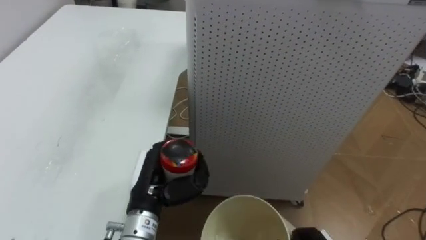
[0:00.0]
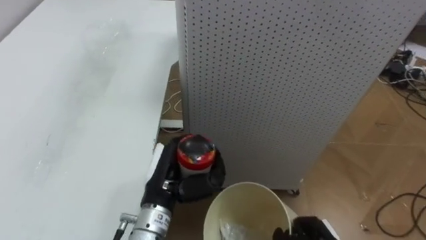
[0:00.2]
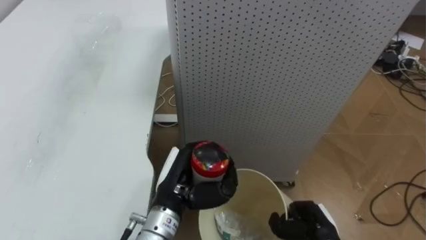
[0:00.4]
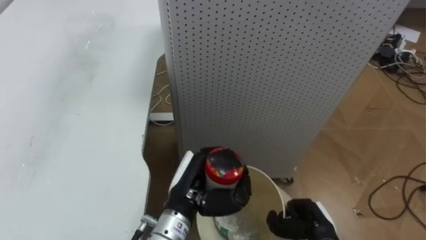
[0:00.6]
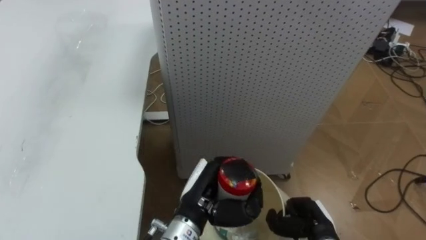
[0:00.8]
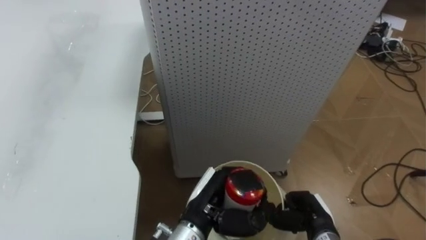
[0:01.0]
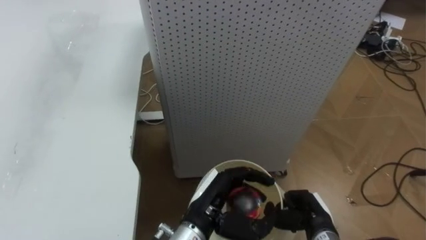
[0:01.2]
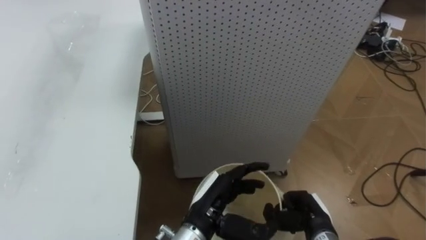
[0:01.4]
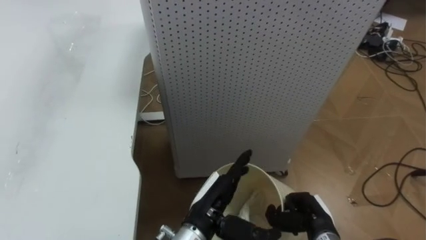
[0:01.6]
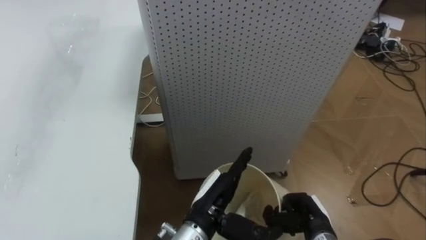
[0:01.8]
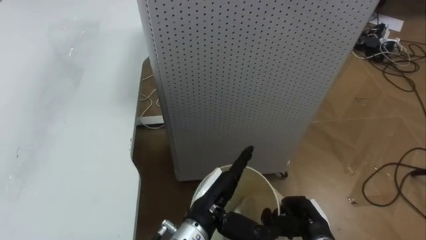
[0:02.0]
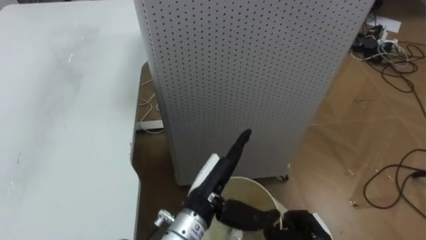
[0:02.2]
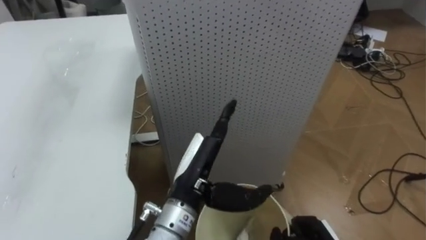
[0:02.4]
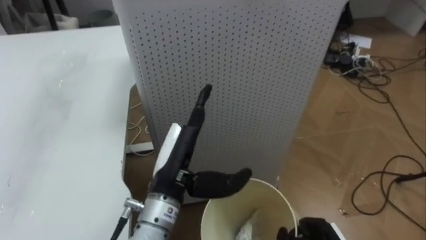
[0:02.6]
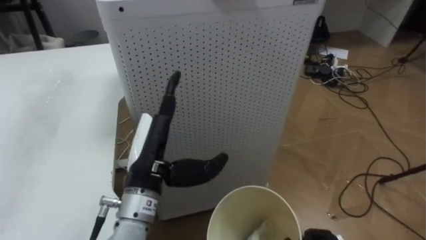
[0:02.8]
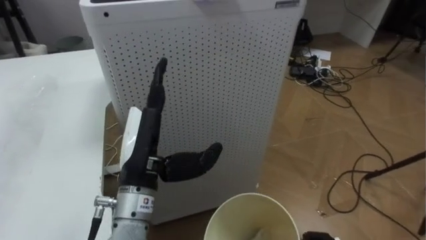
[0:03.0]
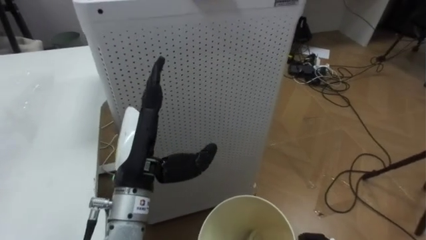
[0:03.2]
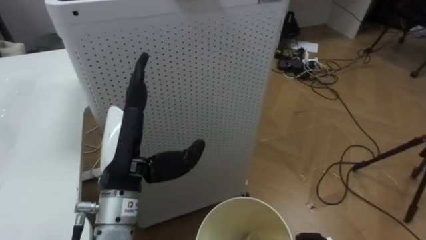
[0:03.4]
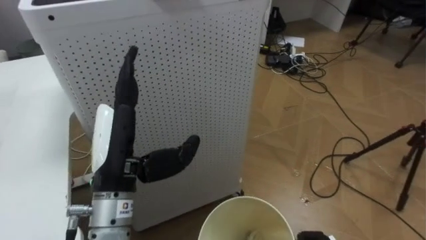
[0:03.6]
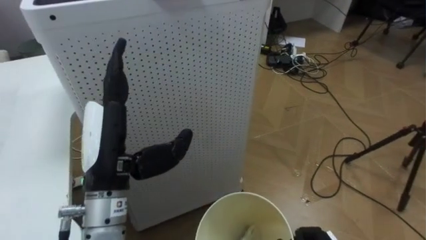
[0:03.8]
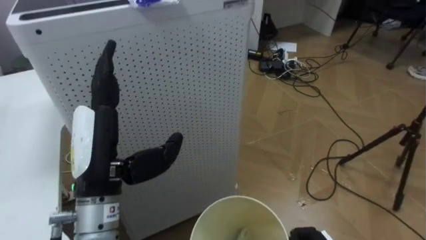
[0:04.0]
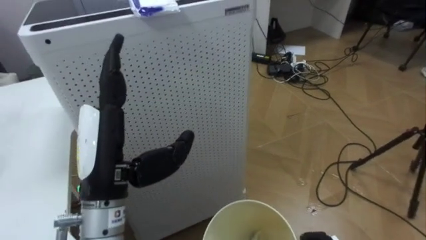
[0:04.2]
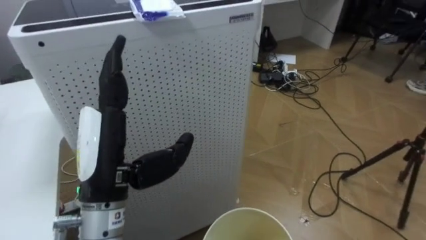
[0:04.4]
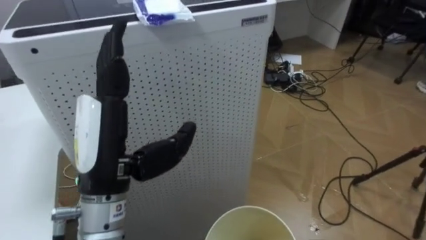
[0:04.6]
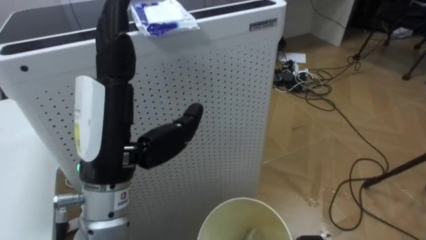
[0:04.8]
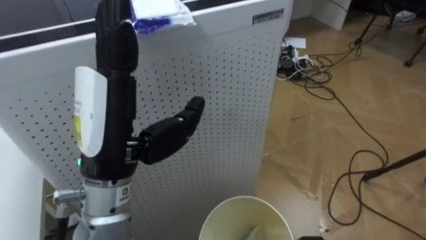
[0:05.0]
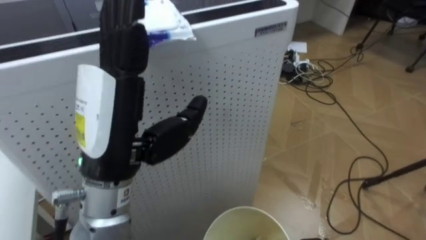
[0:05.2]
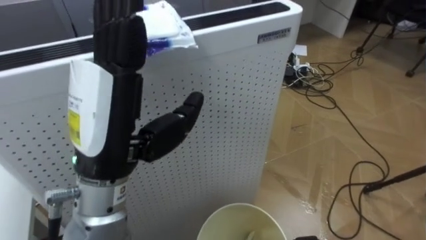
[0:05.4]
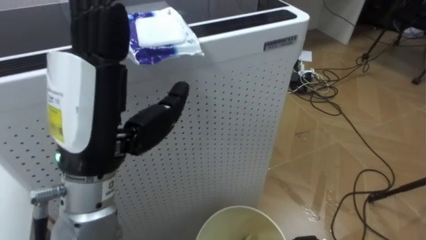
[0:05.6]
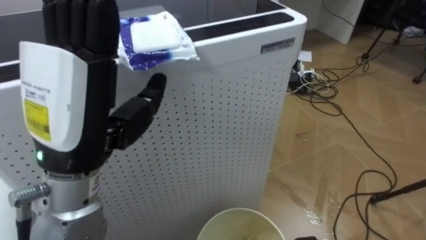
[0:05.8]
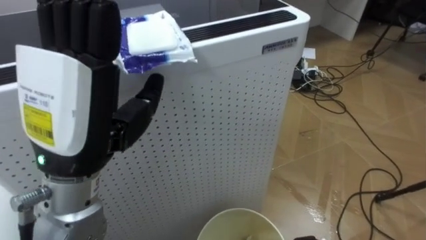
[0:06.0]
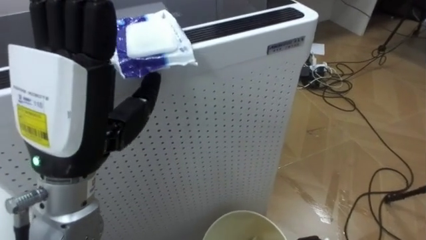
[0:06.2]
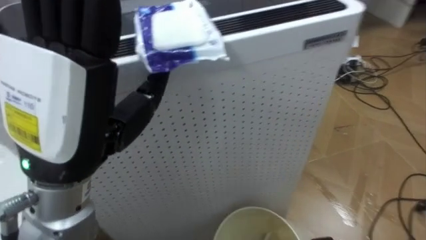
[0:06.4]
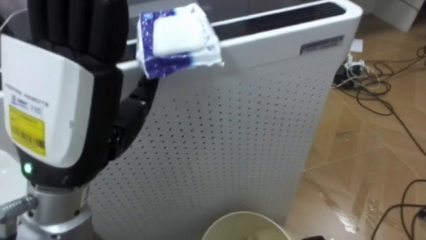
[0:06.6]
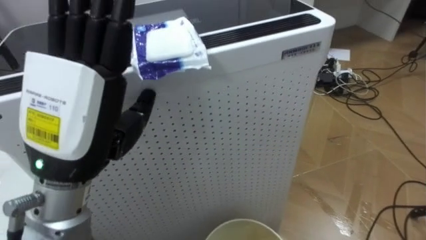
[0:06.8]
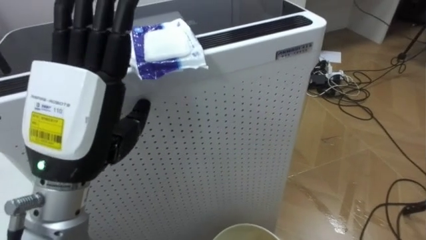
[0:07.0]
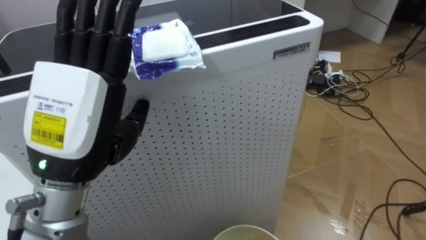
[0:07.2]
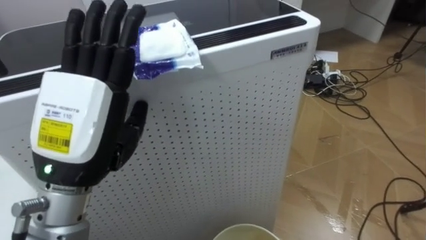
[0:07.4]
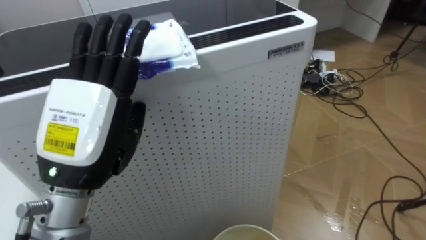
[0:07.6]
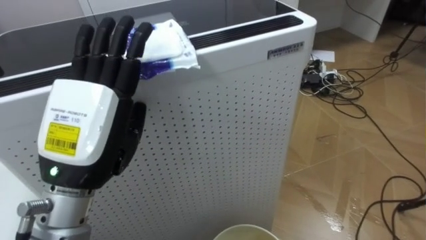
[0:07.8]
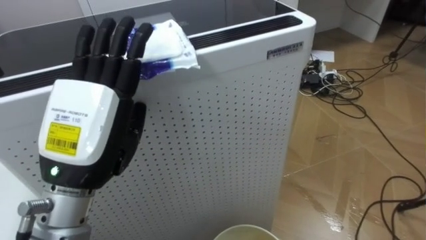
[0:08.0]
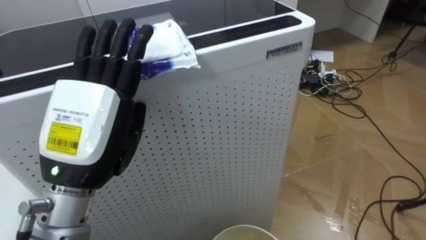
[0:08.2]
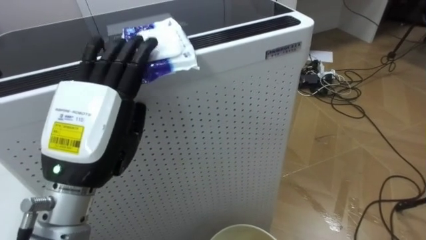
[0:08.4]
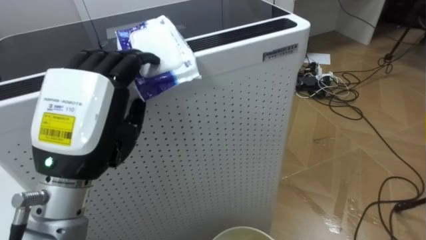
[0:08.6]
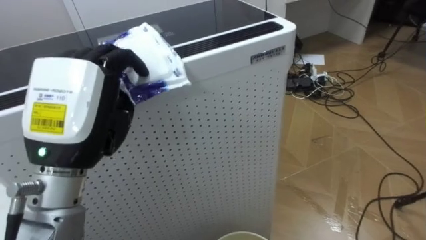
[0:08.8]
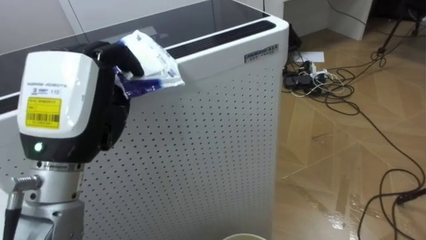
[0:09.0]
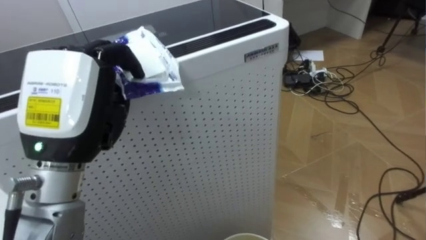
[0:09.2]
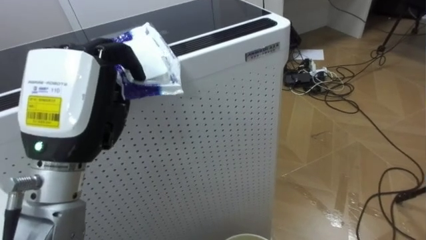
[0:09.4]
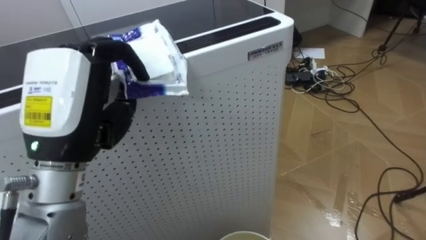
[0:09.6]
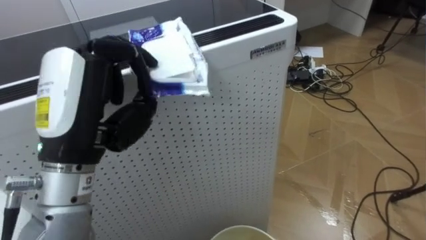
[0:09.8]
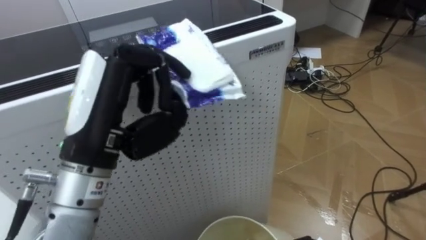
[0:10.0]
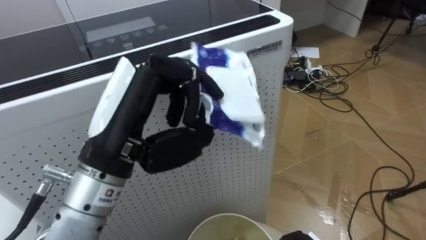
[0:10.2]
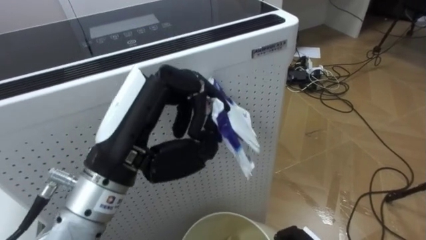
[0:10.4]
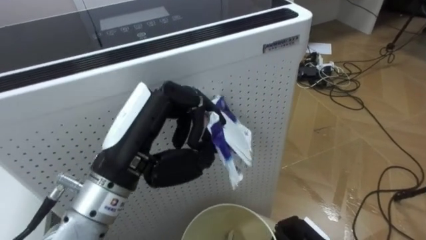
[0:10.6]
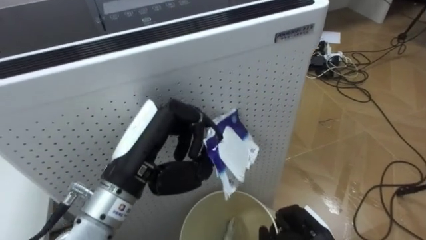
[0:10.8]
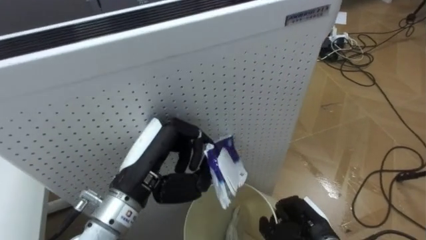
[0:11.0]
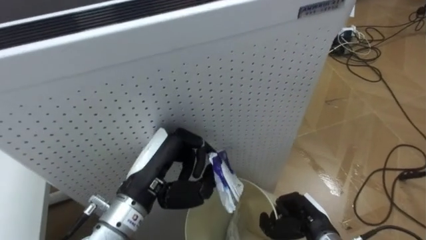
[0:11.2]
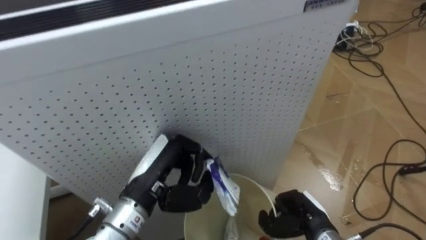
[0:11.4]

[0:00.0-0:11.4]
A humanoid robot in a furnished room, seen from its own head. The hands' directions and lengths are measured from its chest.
Task of the whole recording: Pick up the light blue package, the candy box, and the dark blue package separately, and put them into the trash can held in your right hand.
0.0 to 1.4 s: The left hand heads to the right, covering about 10 cm, and opens.
1.4 to 2.8 s: The left hand moves upward and to the left, about 15 cm.
2.8 to 4.2 s: The left hand heads upward and to the left, covering some 5 cm.
4.2 to 5.6 s: The left hand is displaced upward by some 10 cm.
7.2 to 8.6 s: The left hand closes its fingers.
8.6 to 10.0 s: The left hand closes up.
10.0 to 11.4 s: The left hand heads downward, covering approximately 15 cm.

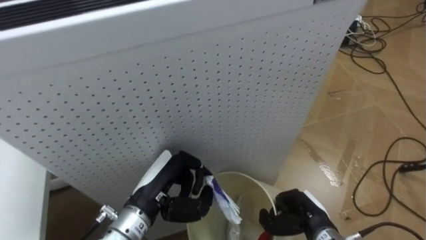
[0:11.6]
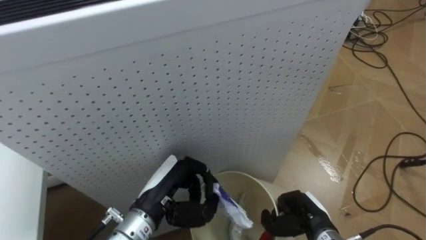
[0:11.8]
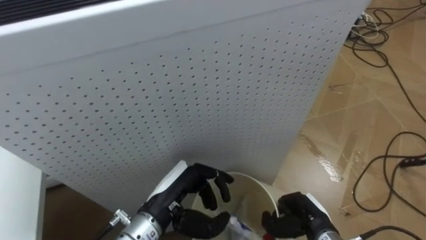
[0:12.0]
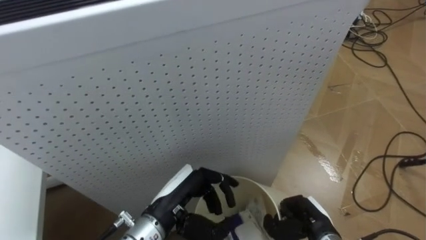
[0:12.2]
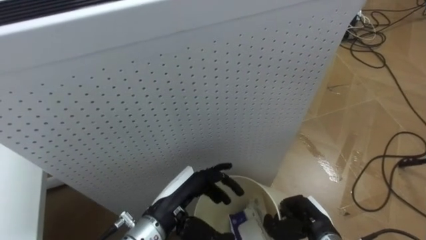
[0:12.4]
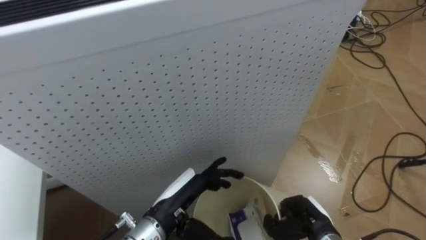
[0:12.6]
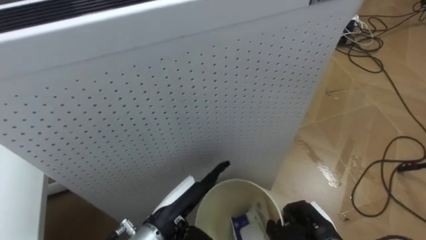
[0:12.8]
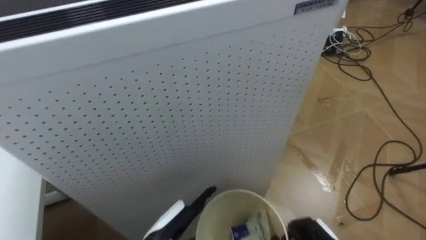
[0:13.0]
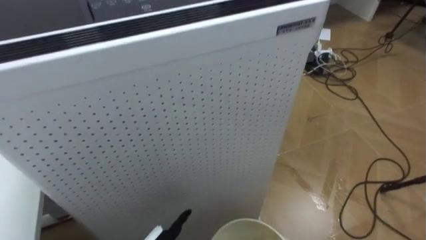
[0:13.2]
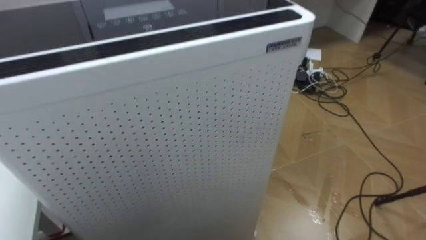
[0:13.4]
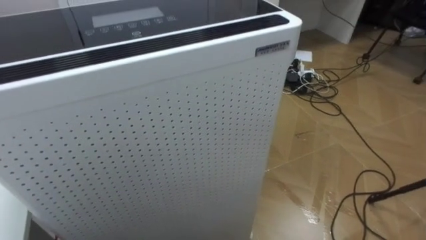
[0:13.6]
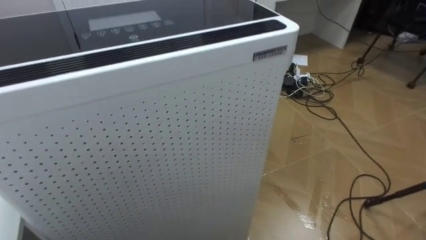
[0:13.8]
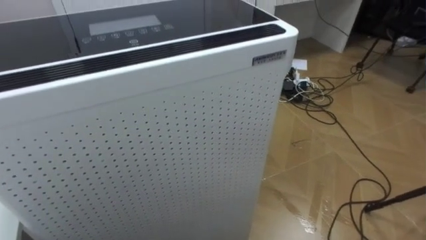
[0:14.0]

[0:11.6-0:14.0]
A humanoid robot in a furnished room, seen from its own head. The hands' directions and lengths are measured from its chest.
Task of the whole recording: Pick up the light blue package, the candy box, and the dark blue package separately, and put them into the trash can held in your right hand.
11.6 to 12.8 s: The left hand shifts by approximately 5 cm, and opens.

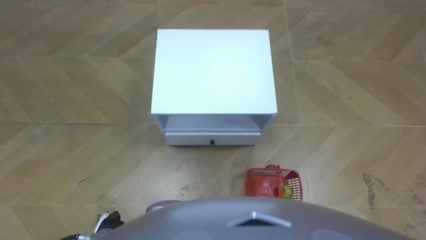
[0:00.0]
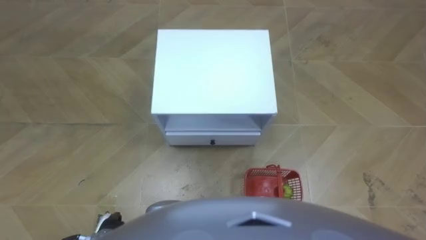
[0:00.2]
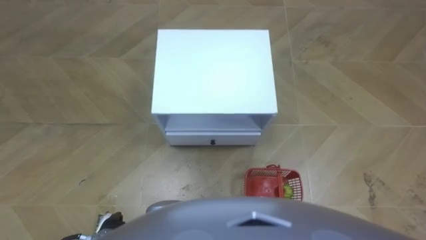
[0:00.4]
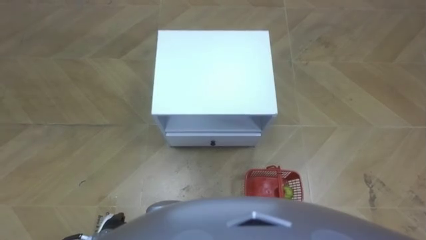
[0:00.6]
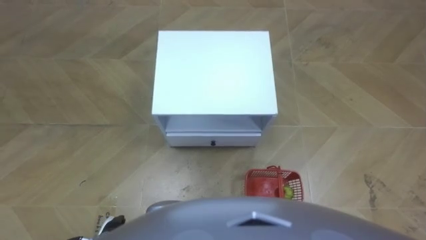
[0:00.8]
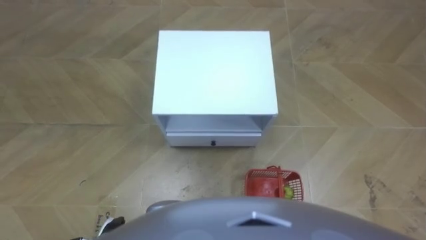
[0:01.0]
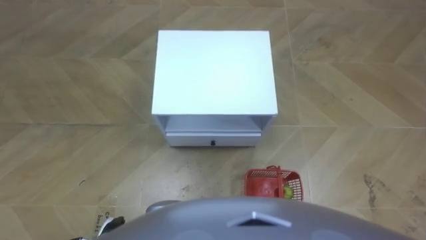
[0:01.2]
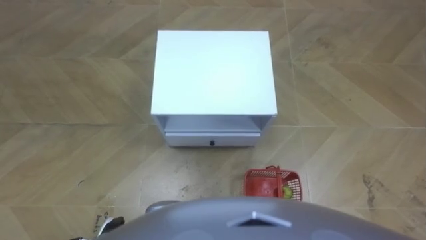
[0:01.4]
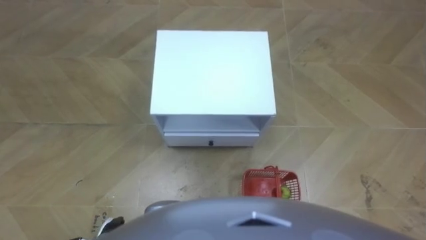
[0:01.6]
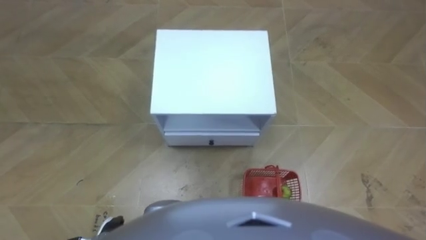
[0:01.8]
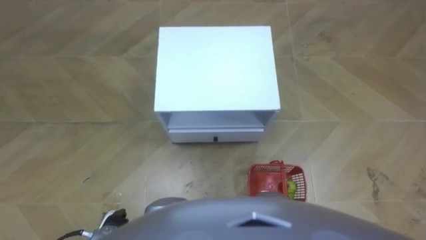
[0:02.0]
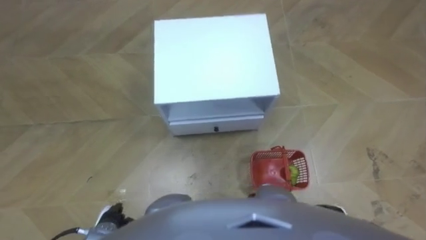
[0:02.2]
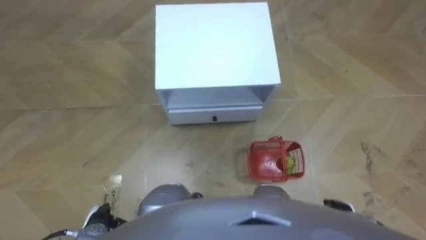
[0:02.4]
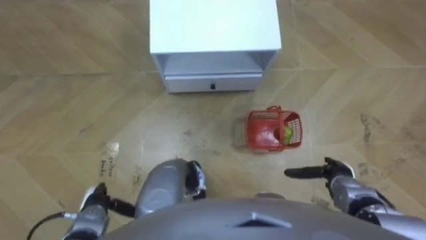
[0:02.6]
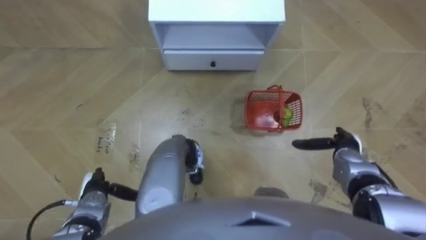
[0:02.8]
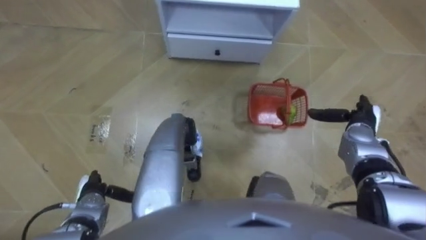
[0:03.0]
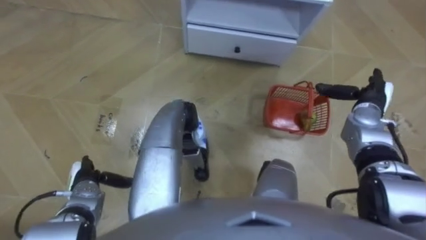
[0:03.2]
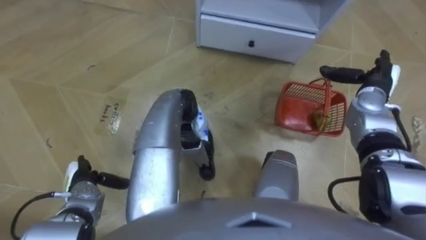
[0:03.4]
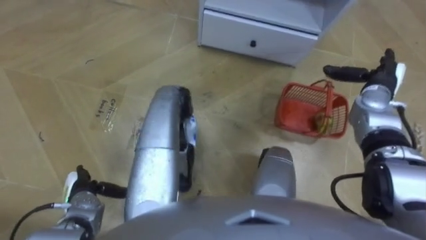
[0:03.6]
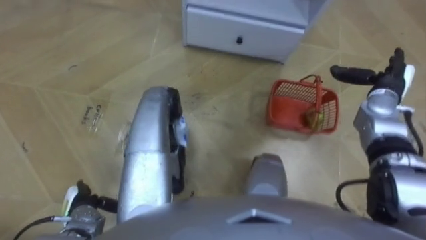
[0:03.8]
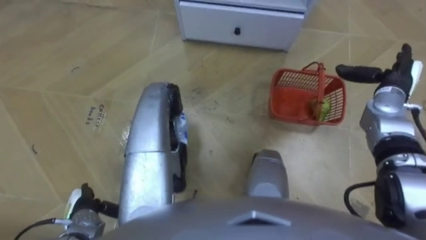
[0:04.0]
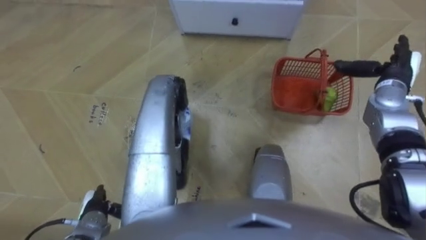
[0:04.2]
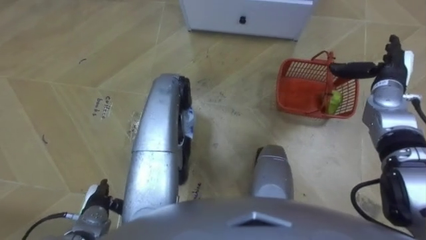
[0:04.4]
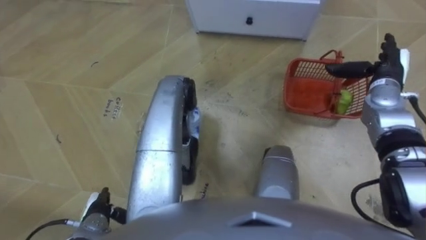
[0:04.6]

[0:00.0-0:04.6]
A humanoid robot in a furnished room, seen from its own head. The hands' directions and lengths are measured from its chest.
Task of the whole recording: Pick up the fruit basket from the floor and place it on the cabinet.
1.6 to 3.0 s: The left hand moves forward, approximately 10 cm.
3.0 to 4.6 s: The left hand is displaced backward by approximately 5 cm, while the right hand shifts roughly 10 cm forward and upward.
